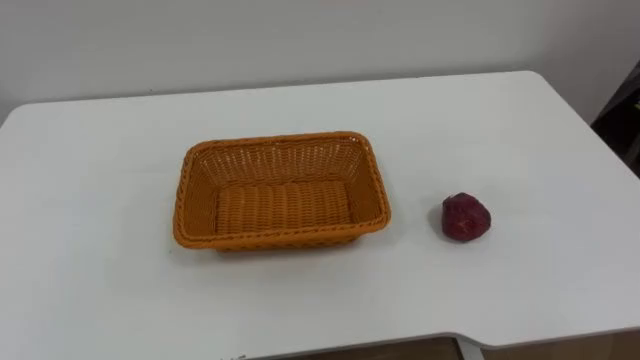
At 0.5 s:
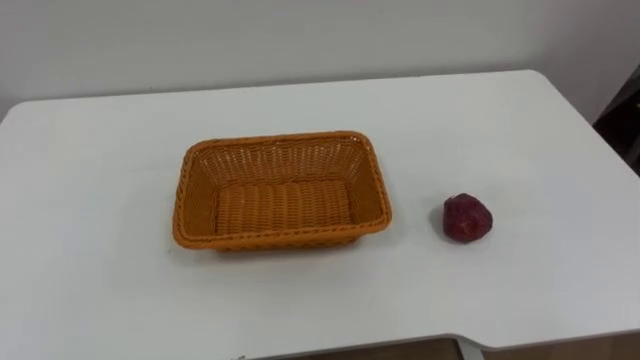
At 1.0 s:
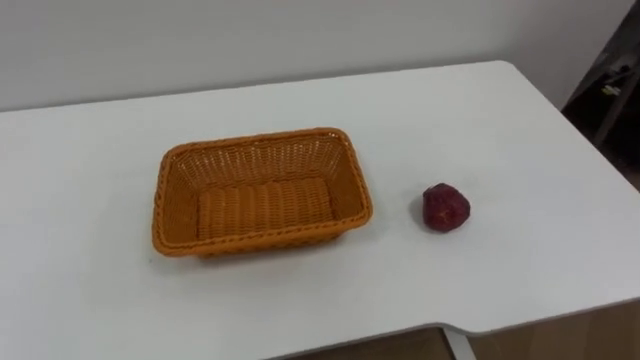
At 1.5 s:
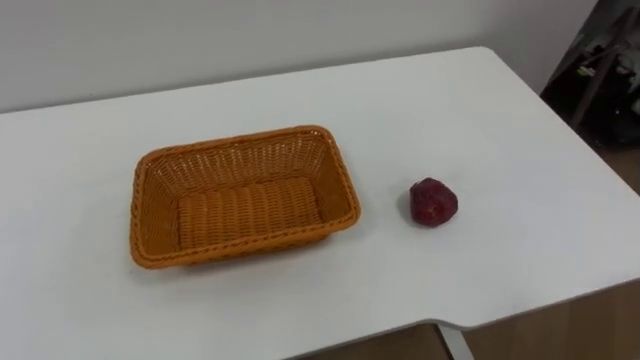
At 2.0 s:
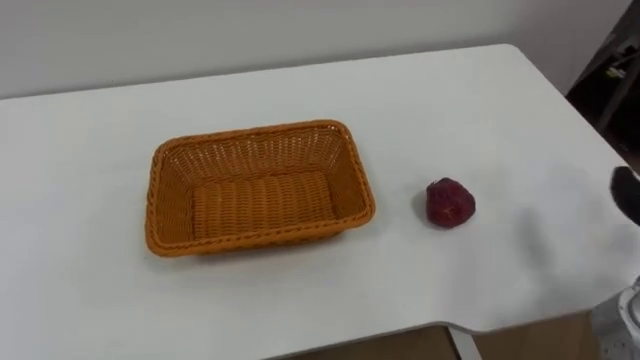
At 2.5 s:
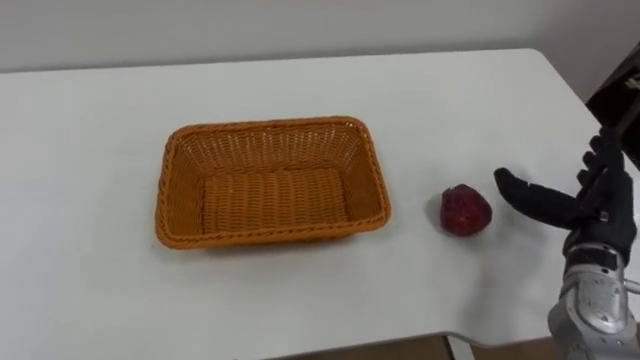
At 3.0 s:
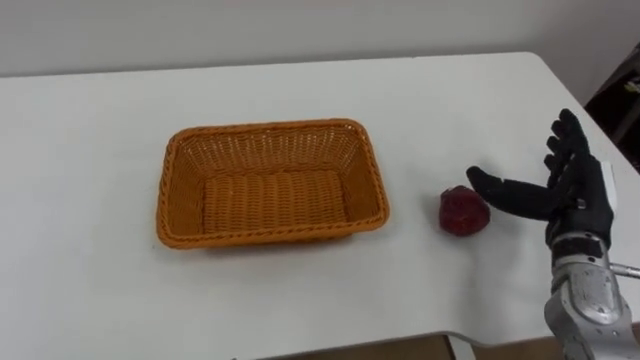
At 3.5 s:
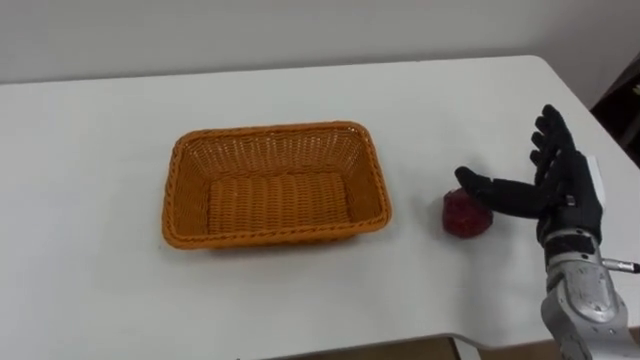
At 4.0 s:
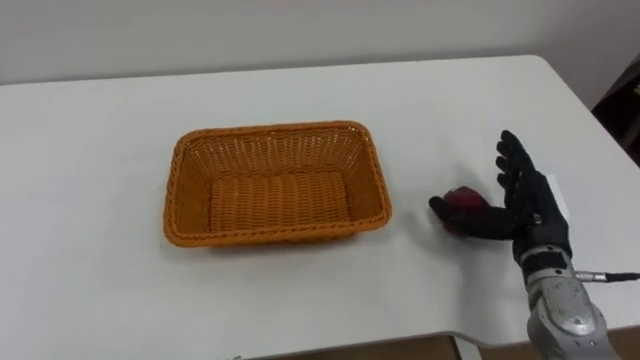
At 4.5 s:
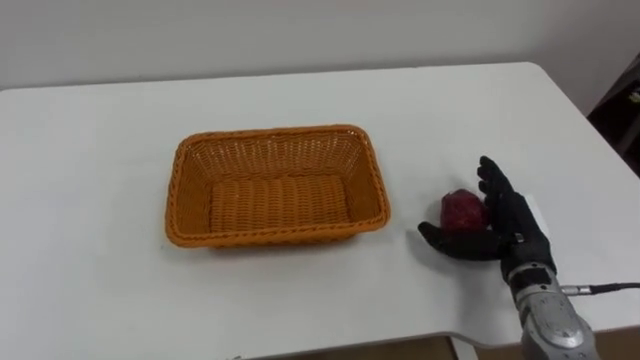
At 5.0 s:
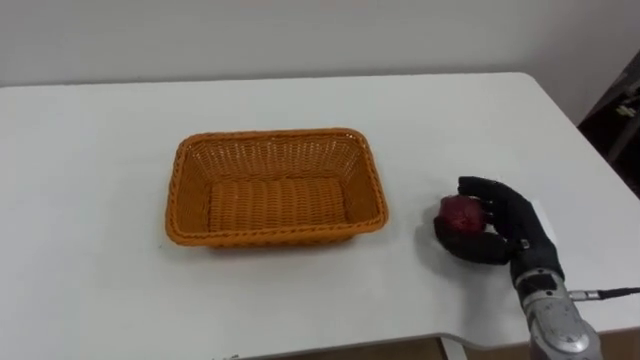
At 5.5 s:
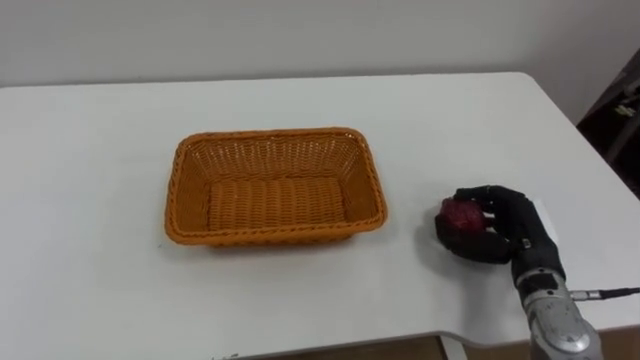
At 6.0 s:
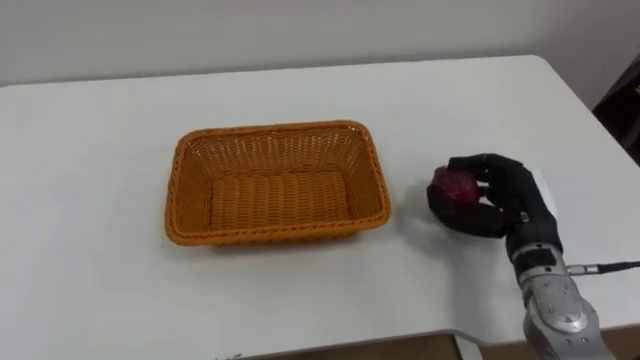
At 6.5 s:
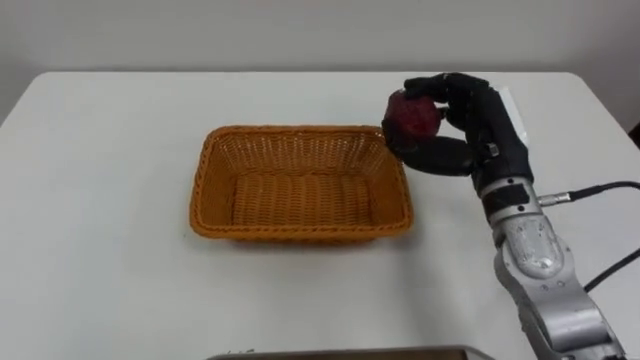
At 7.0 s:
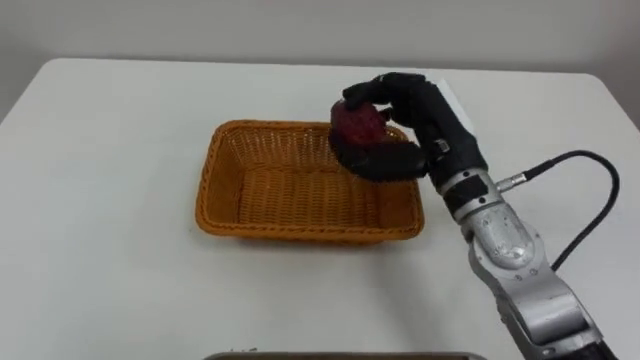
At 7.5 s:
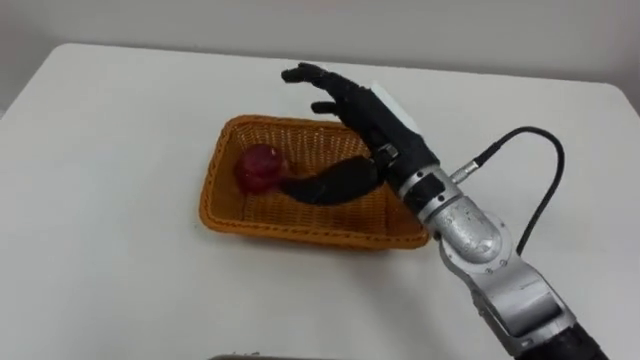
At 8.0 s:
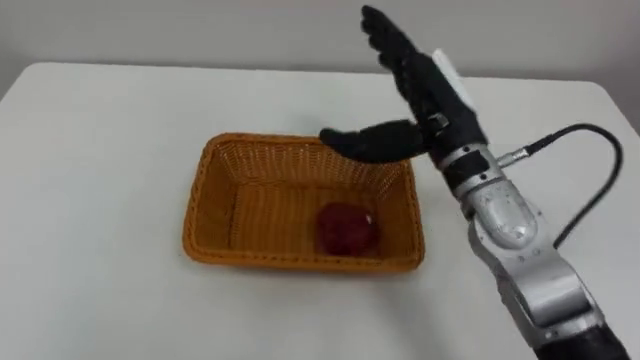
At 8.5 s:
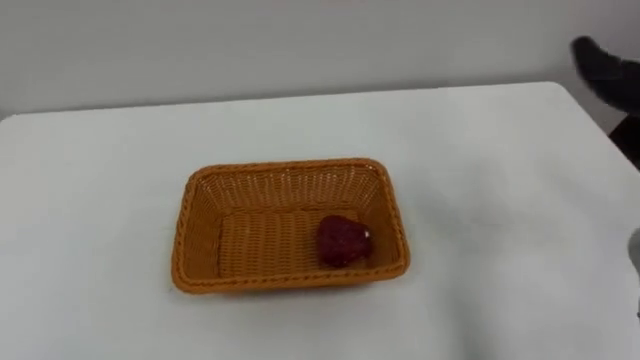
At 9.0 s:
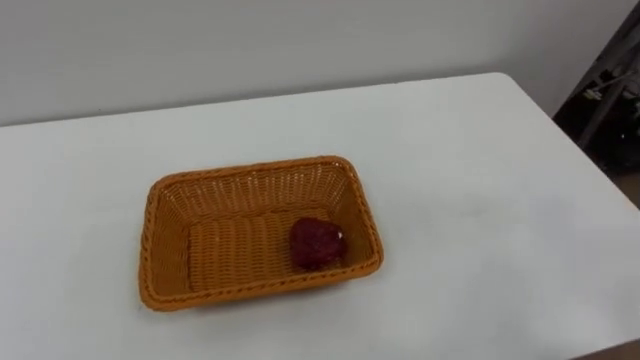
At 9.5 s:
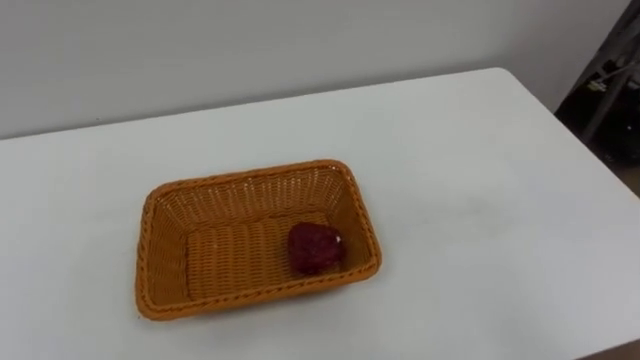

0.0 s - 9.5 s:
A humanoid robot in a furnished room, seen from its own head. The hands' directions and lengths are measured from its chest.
Task of the whole recording: Pick the apple and place it in the box.
4.0 s - 5.5 s: The right hand closes its fingers.
5.5 s - 7.5 s: The right hand travels to the left and upward by roughly 25 cm, and opens.

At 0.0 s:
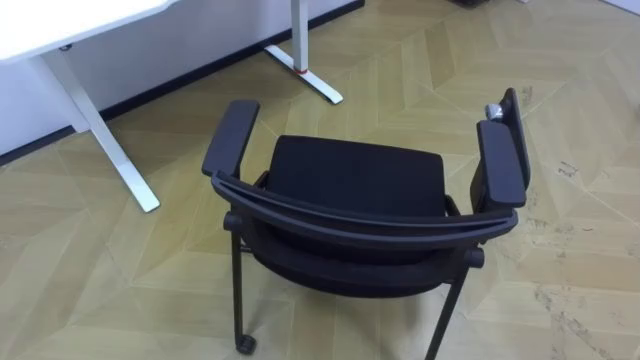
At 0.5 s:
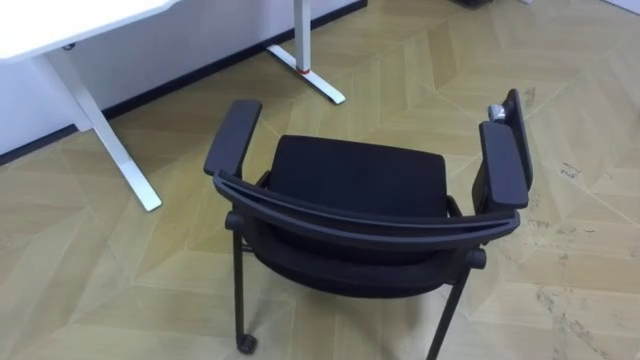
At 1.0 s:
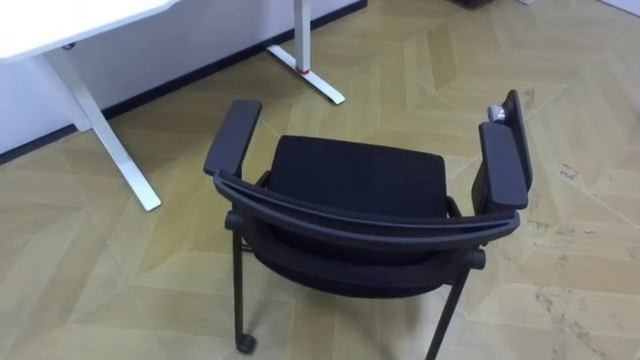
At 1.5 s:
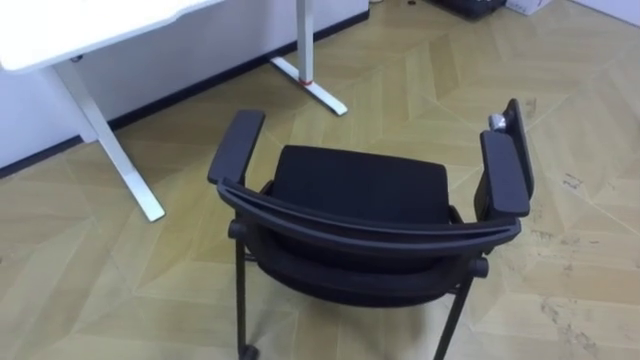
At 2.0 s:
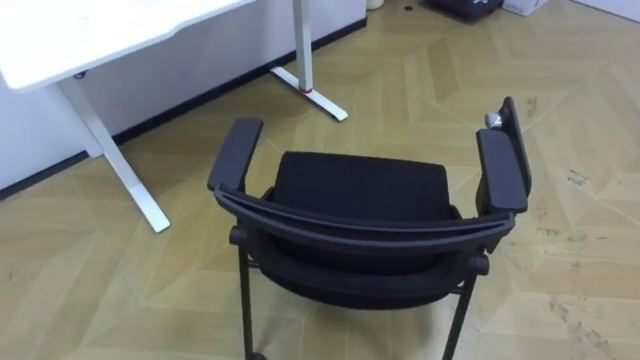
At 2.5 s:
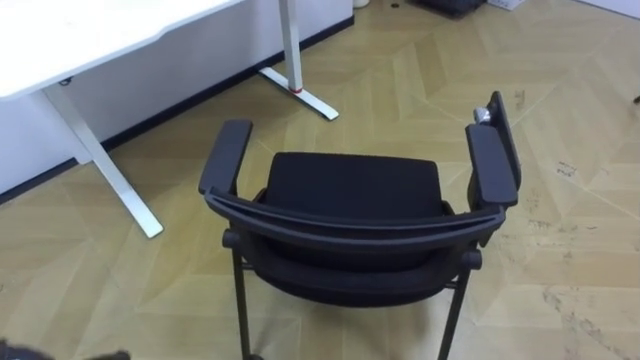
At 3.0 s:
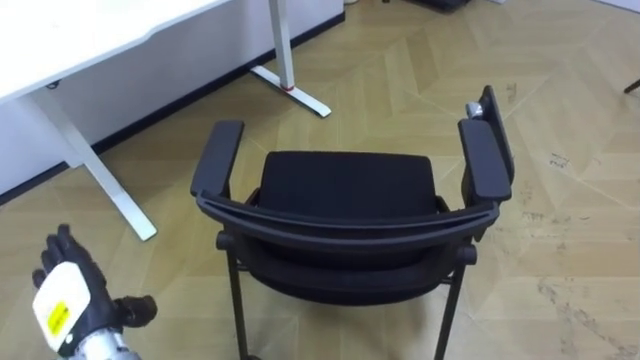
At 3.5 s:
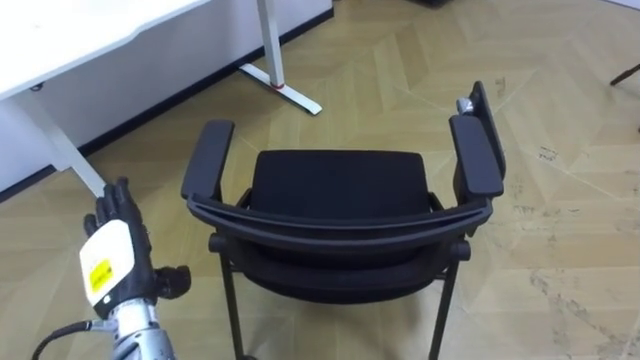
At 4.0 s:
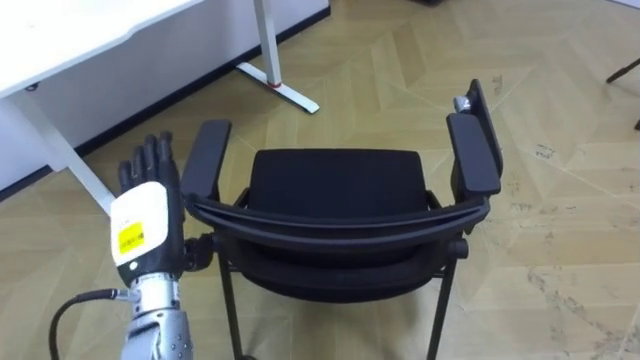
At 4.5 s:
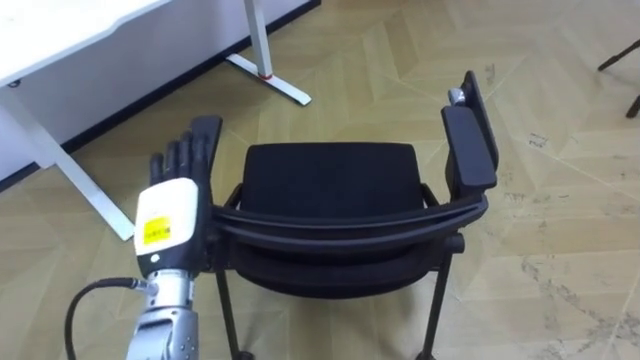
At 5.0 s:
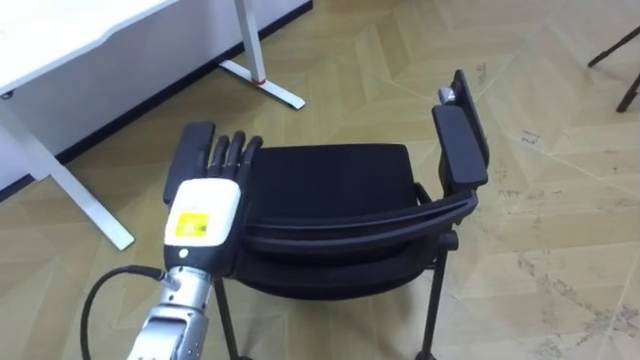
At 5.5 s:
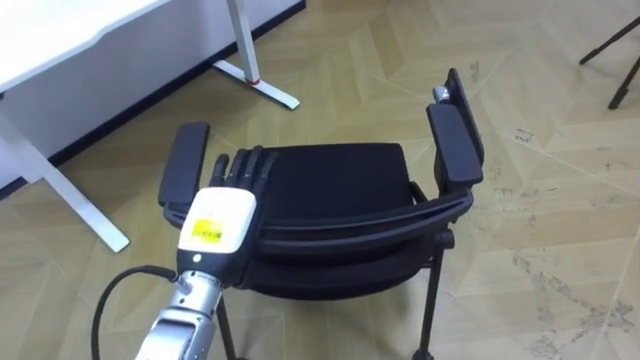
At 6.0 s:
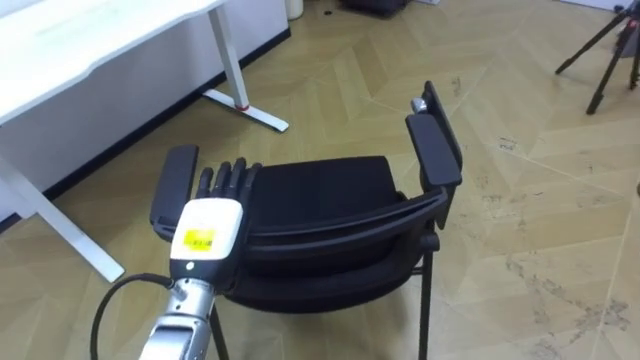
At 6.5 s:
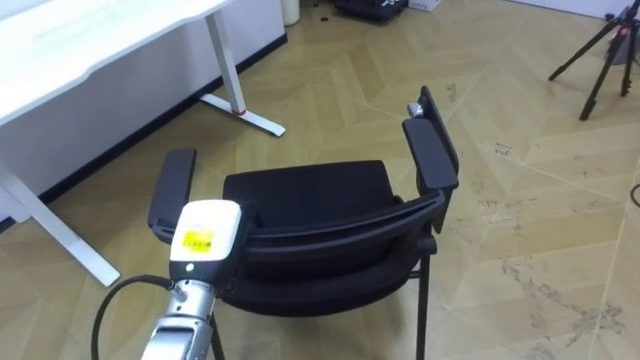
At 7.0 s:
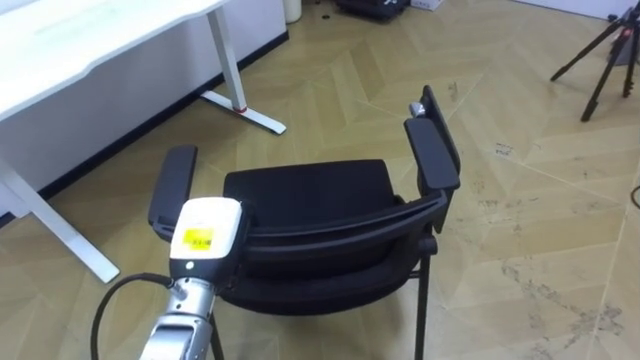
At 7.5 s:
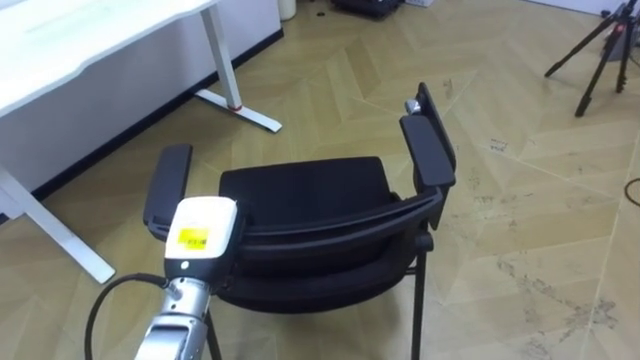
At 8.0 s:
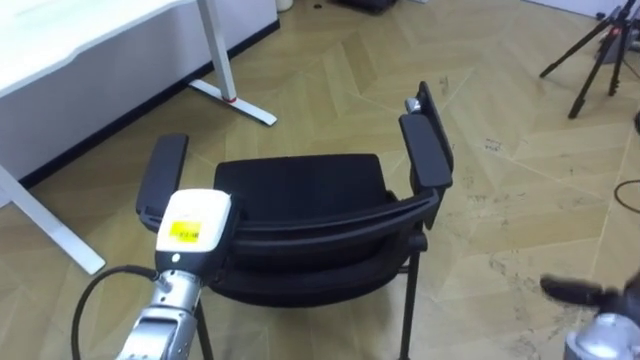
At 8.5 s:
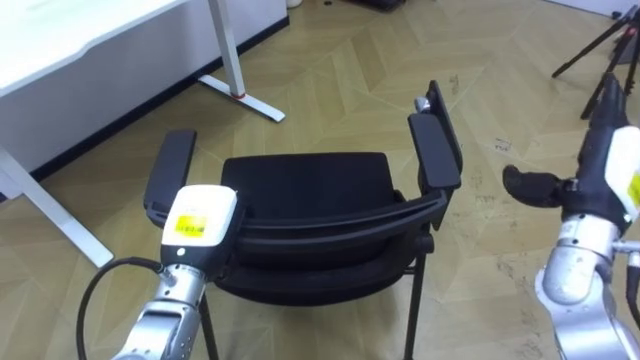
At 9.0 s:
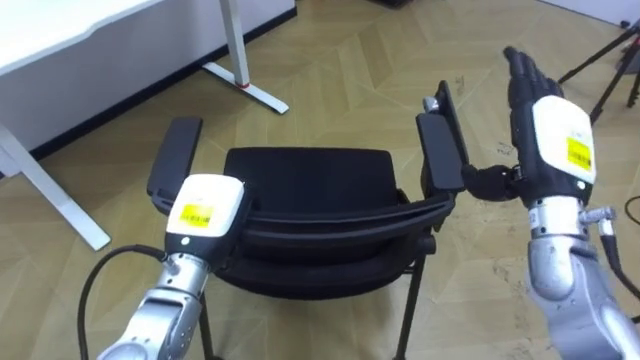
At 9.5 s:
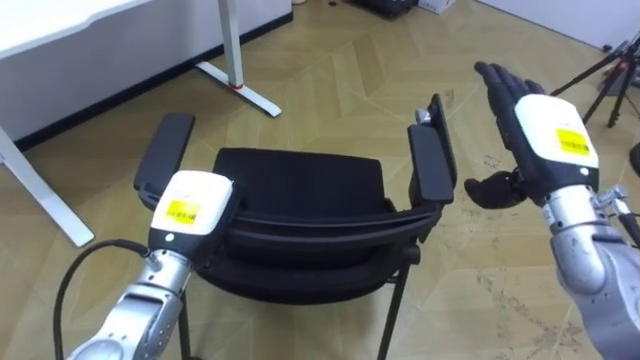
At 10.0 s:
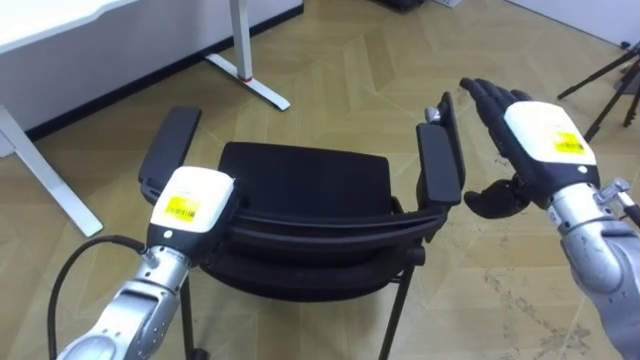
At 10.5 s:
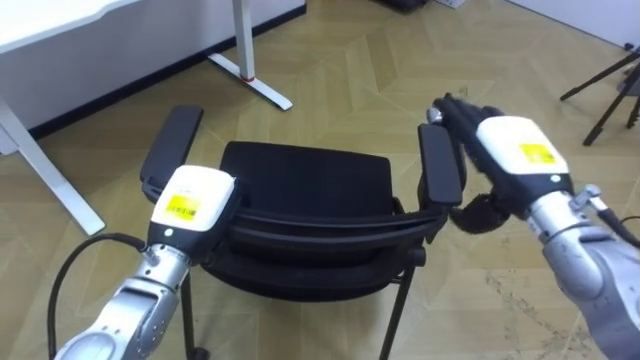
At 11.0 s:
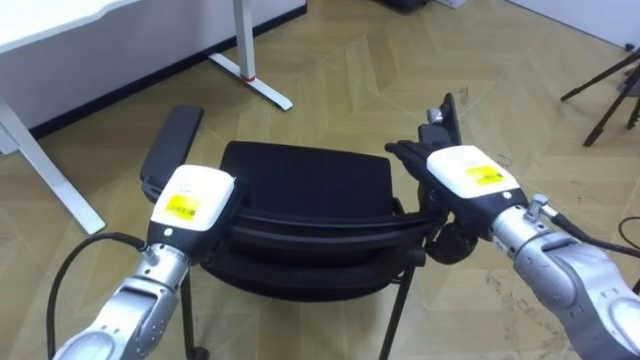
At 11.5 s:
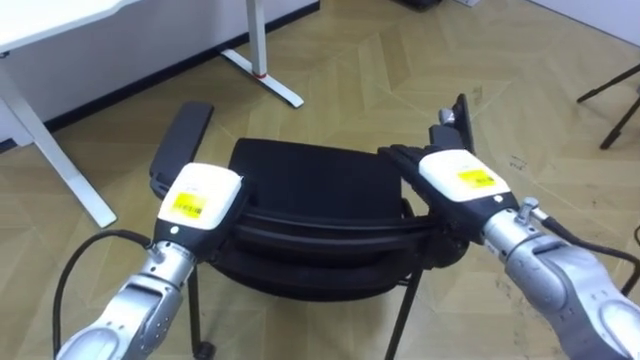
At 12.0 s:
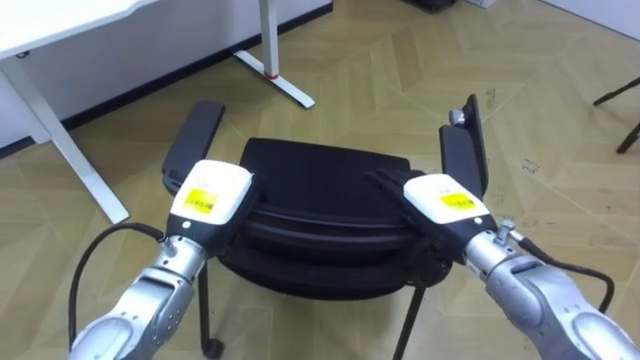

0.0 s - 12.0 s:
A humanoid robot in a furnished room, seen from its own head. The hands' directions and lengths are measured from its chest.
Task of the whole recording: Push the chair under the table.
4.0 s - 6.0 s: The left hand heads to the right, covering about 5 cm.
6.0 s - 8.0 s: The left hand closes.
8.0 s - 10.0 s: The right hand is displaced upward, to the left and forward by some 25 cm.
10.0 s - 12.0 s: The right hand shifts approximately 10 cm to the left and downward.
